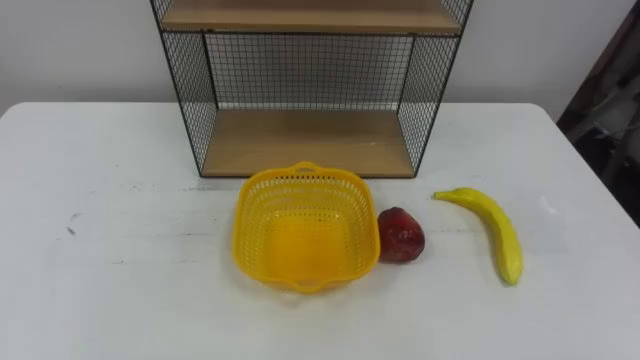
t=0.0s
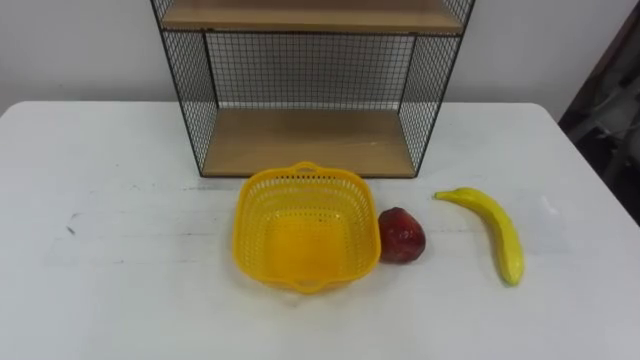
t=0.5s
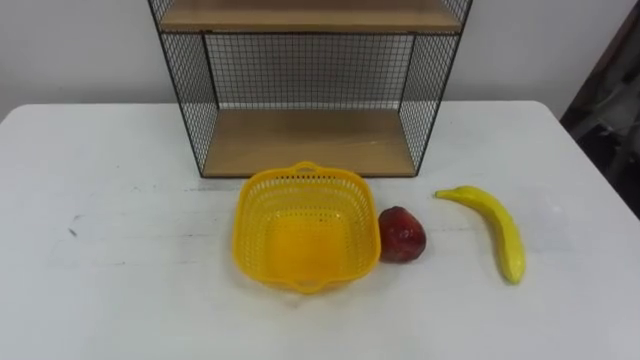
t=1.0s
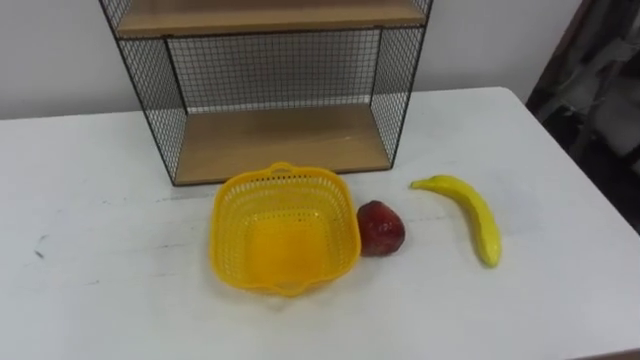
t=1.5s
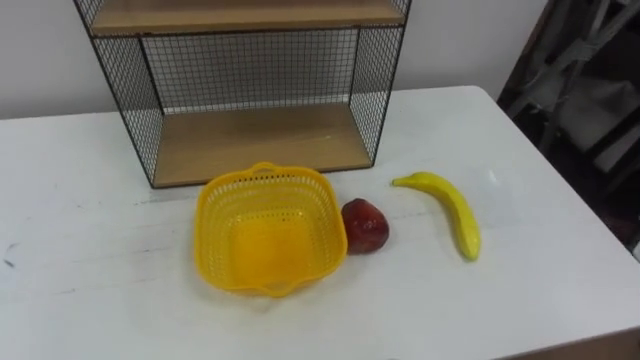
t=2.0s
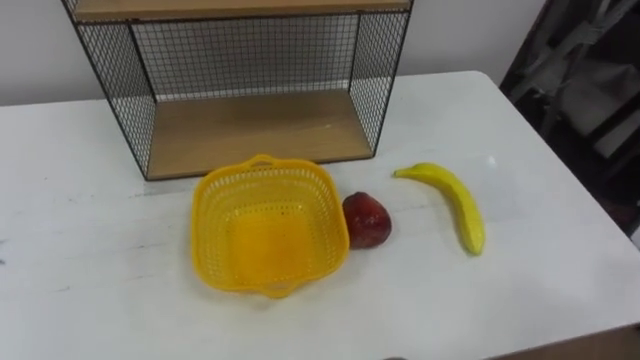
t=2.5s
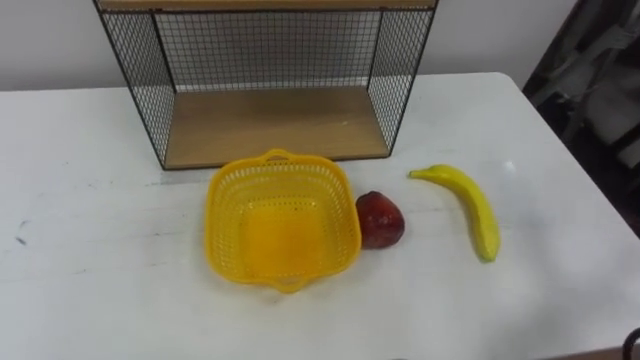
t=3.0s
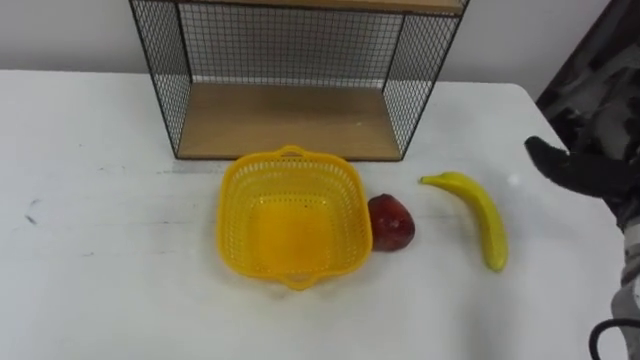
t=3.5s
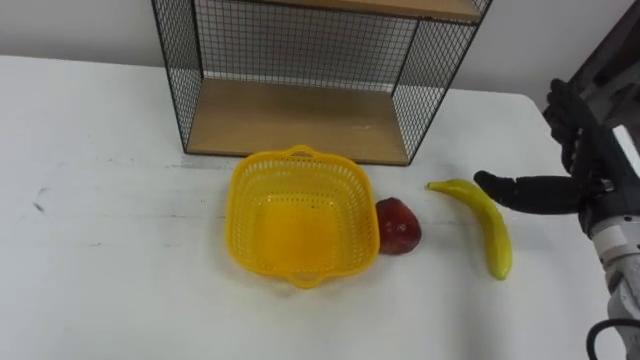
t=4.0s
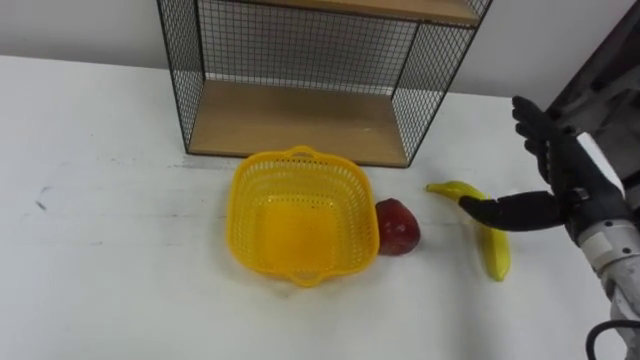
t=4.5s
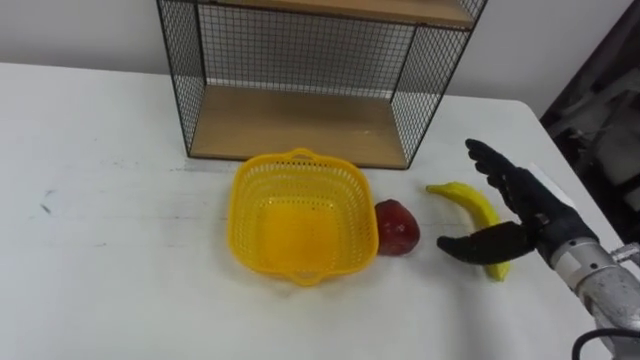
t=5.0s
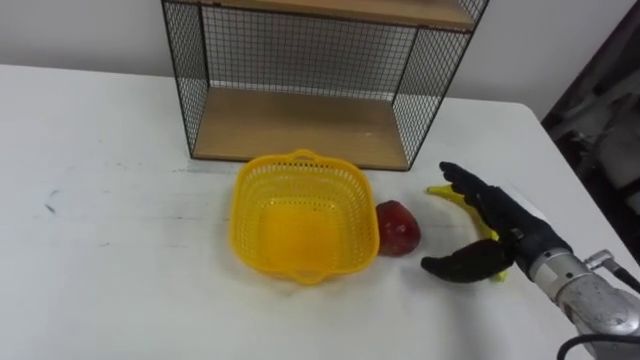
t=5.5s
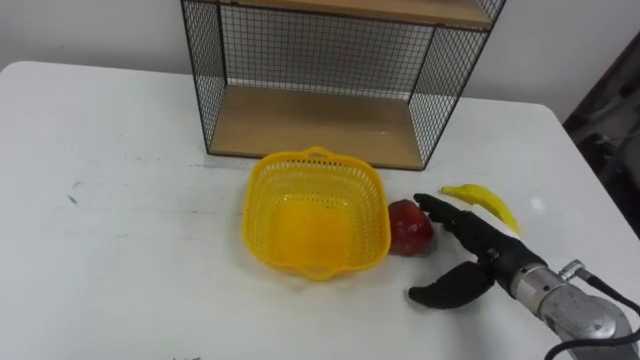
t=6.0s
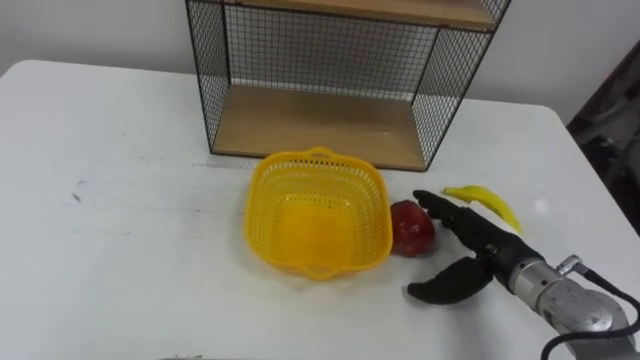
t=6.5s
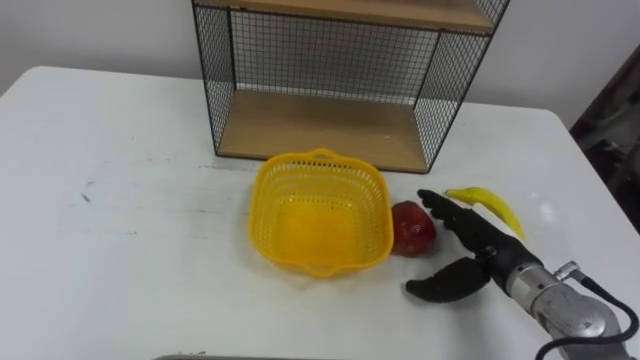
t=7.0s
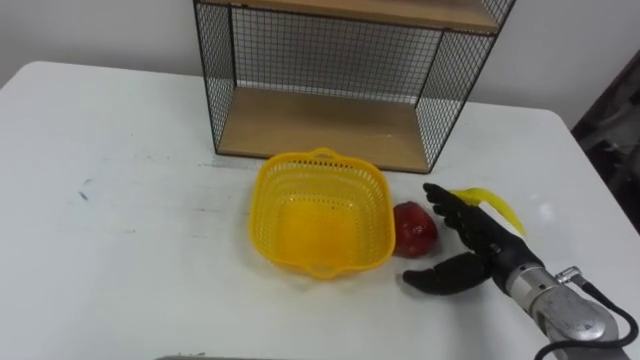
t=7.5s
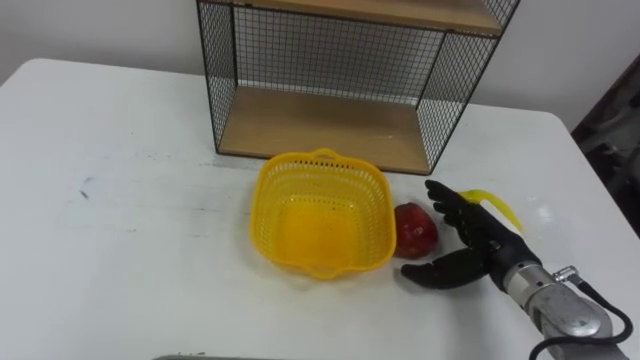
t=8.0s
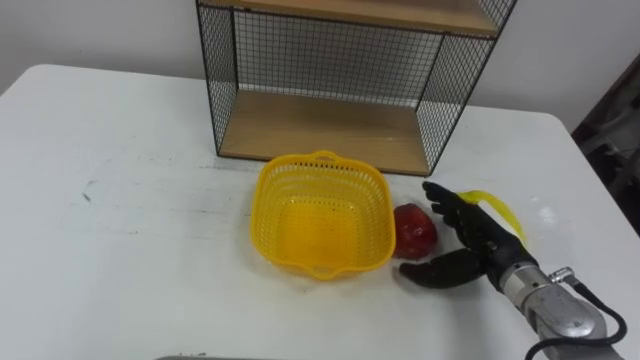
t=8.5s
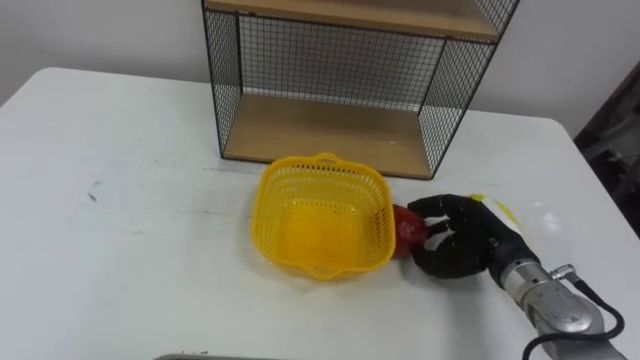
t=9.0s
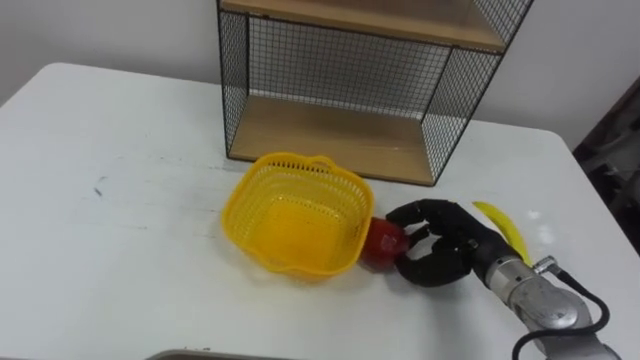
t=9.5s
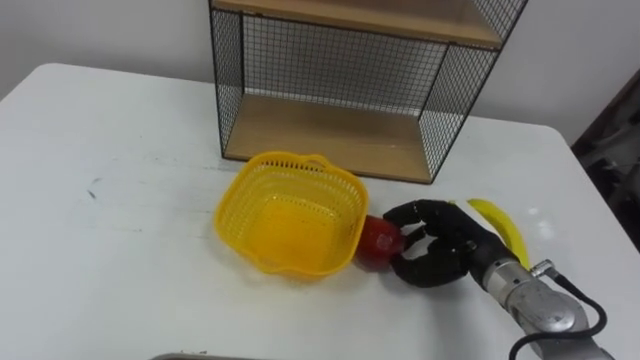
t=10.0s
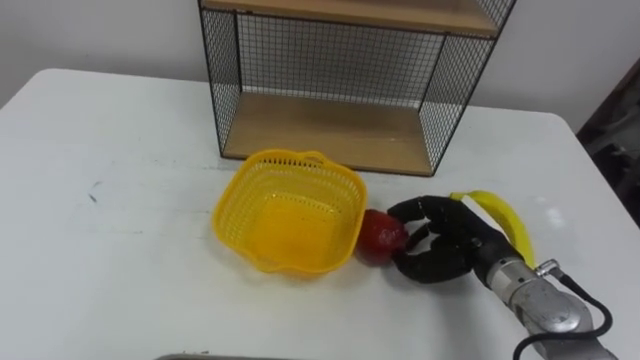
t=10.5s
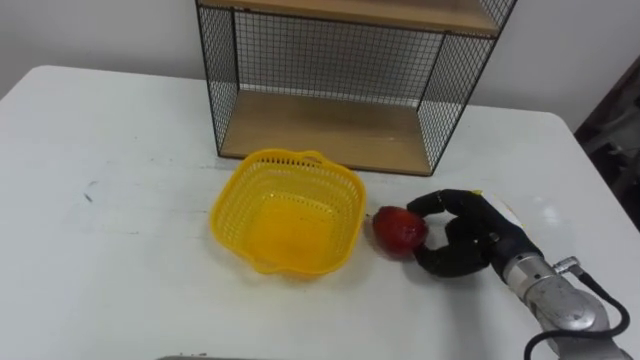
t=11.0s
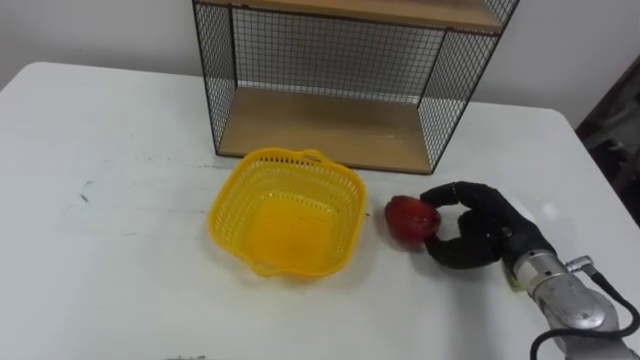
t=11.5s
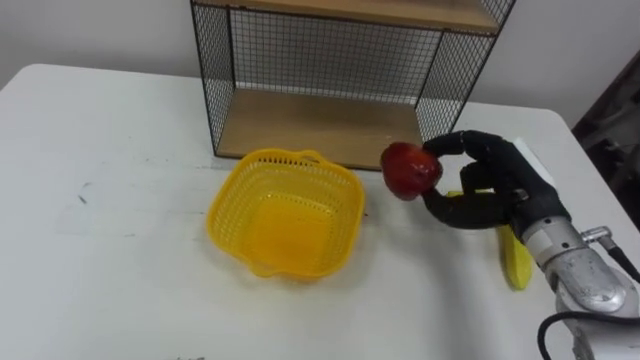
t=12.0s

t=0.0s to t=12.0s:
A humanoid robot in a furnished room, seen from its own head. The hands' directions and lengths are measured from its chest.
Task of the whole recording: Put the fruit on the table into the basket, then place the basket on the shelf.
t=4.0s to t=6.0s: The right hand is displaced downward and to the left by about 15 cm.
t=8.0s to t=10.0s: The right hand closes up.
t=10.0s to t=12.0s: The right hand shifts some 10 cm upward.

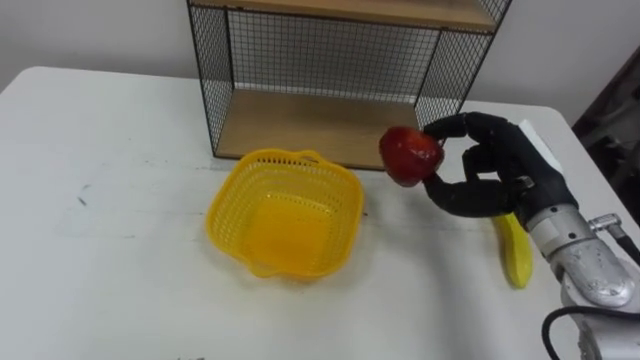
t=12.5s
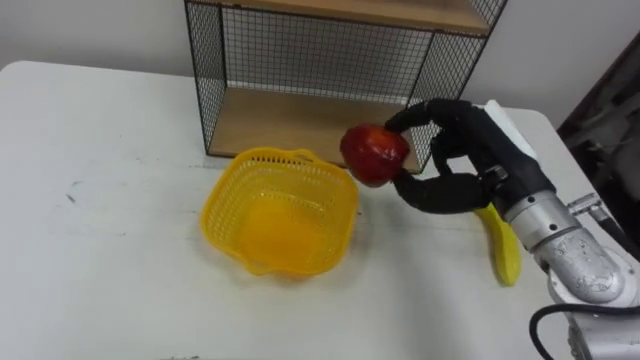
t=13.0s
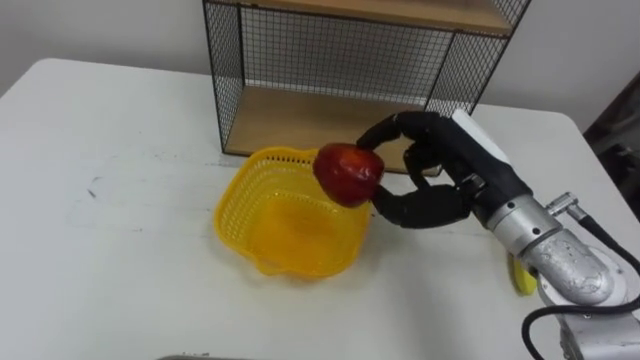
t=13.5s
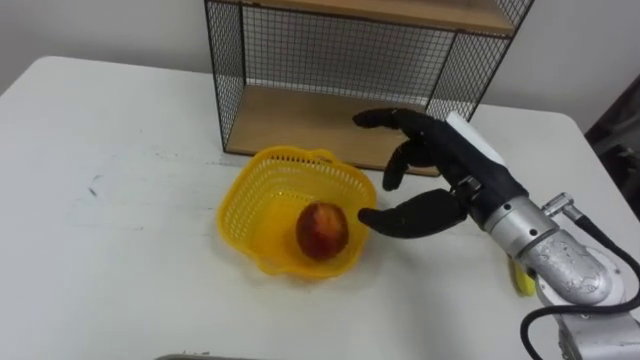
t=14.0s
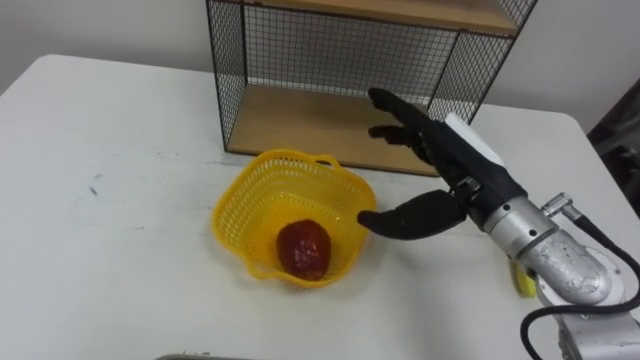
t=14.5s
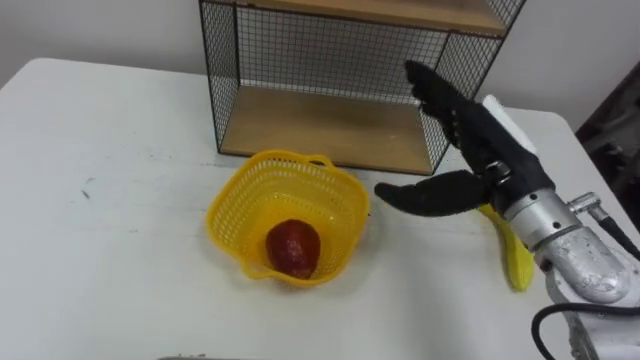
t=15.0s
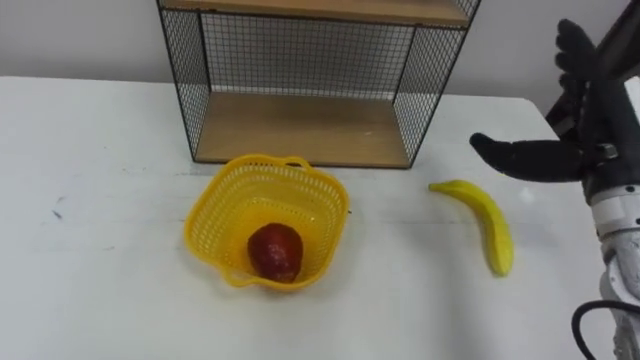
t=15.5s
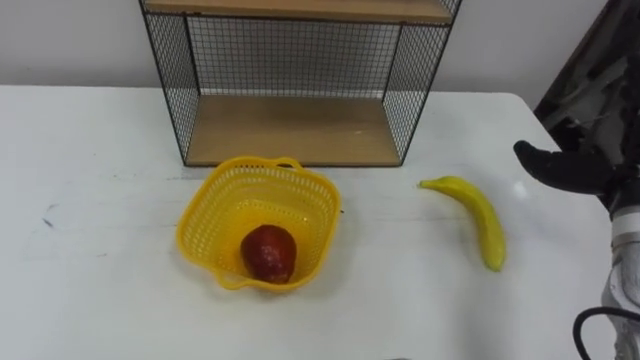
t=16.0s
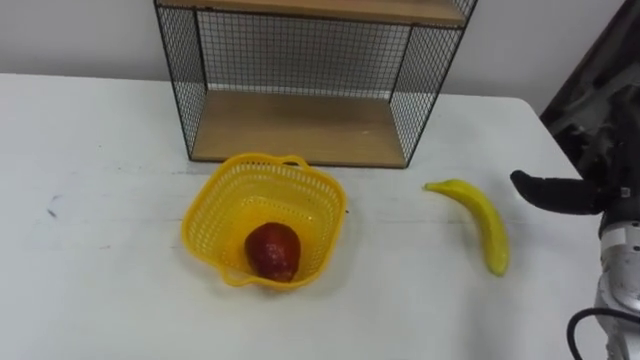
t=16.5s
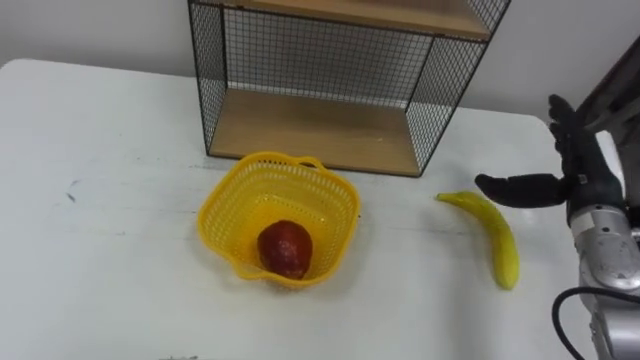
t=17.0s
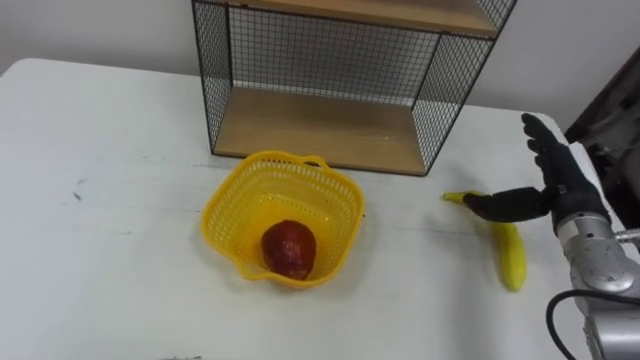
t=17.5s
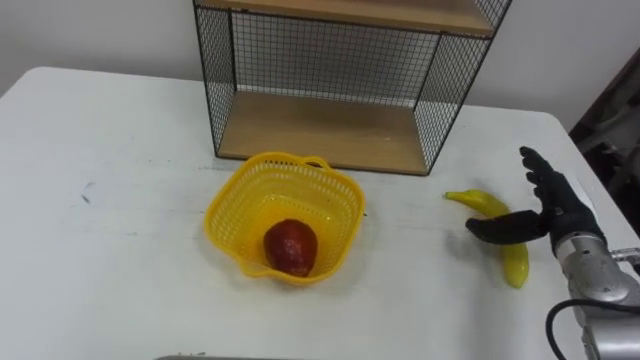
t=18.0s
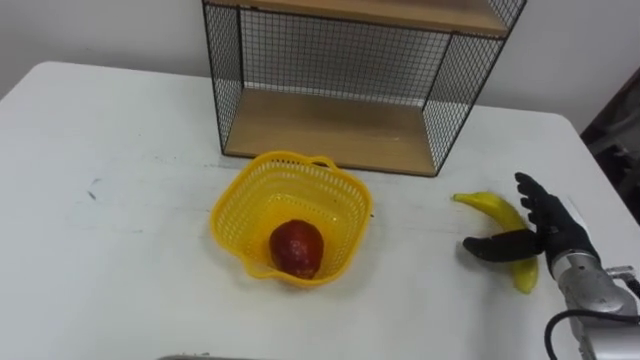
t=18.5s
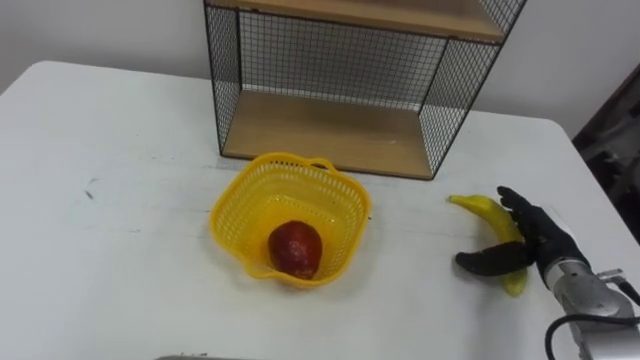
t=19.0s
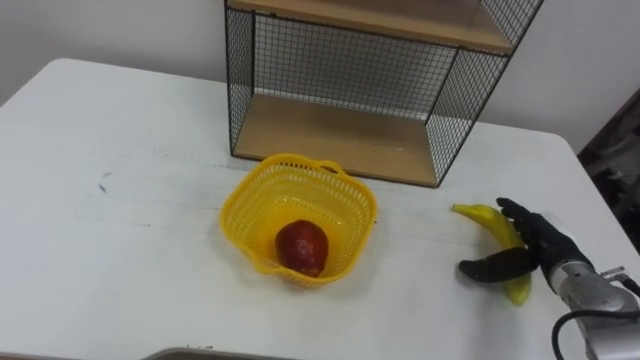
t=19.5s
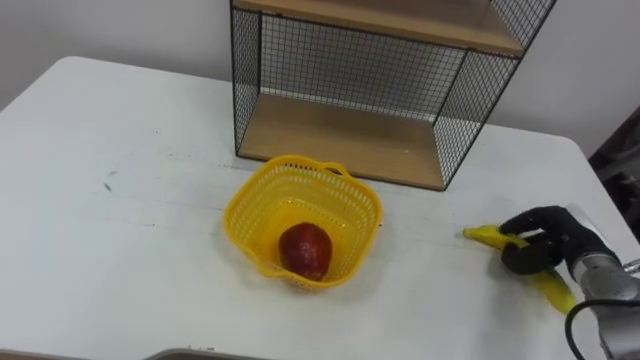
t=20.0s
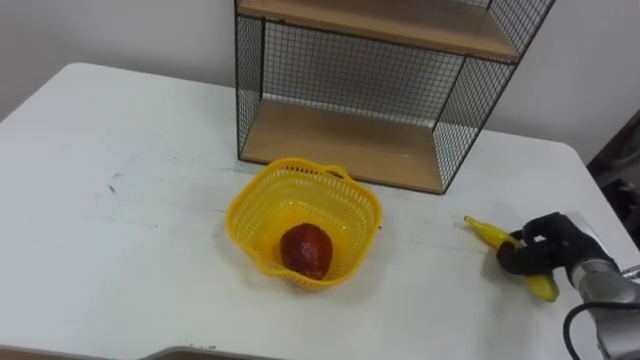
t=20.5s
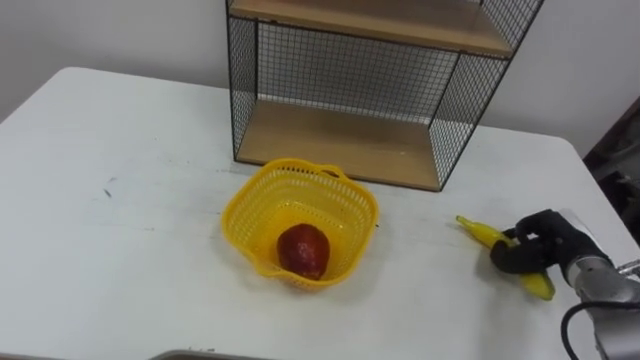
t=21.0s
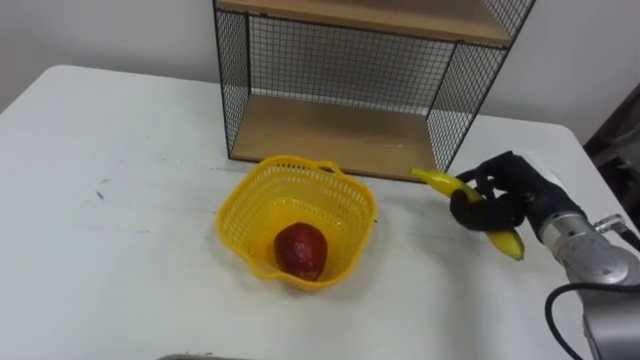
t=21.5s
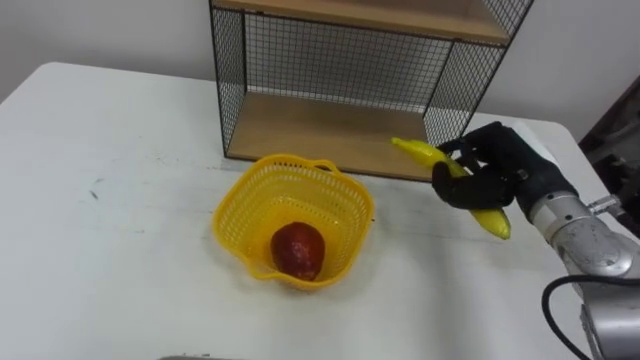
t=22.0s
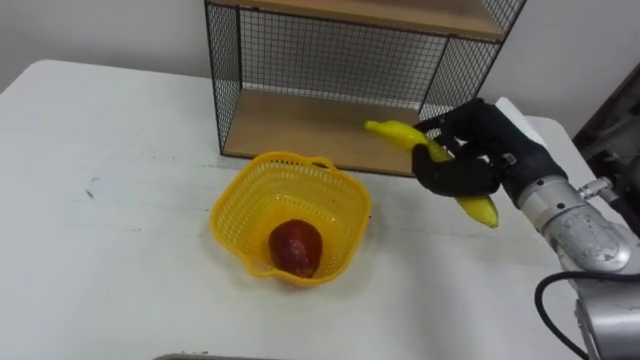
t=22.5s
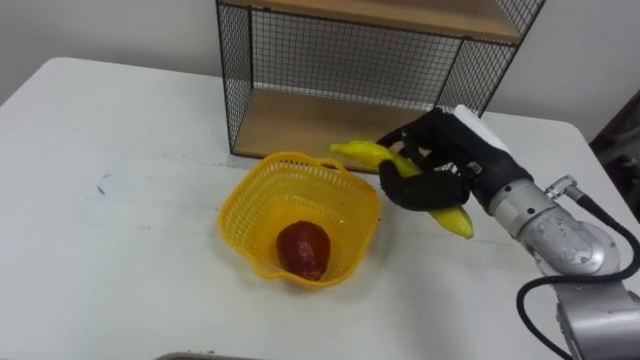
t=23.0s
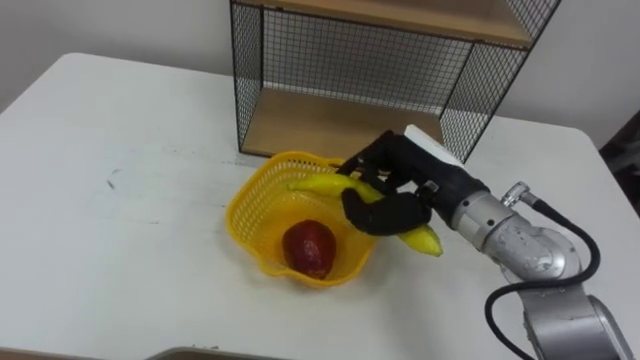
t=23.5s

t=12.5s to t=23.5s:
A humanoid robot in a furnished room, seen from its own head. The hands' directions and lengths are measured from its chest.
Task of the whole recording: Put the fruit on the table into the basket, then place the basket on the shelf.
t=12.5s to t=14.5s: The right hand heads to the left, covering approximately 5 cm, and opens up.
t=18.0s to t=20.0s: The right hand goes roughly 5 cm downward, and closes.
t=20.0s to t=21.5s: The right hand travels upward and to the left by about 10 cm.
t=21.5s to t=23.5s: The right hand heads to the left and upward, covering approximately 15 cm.
